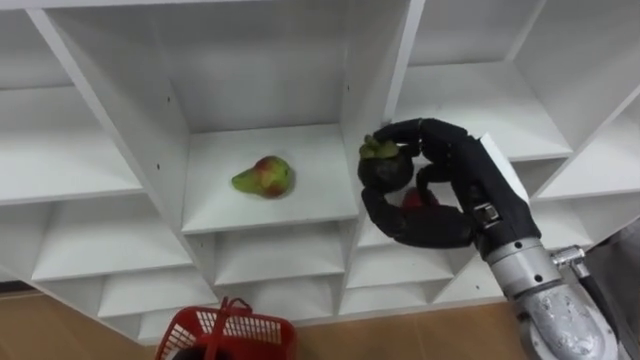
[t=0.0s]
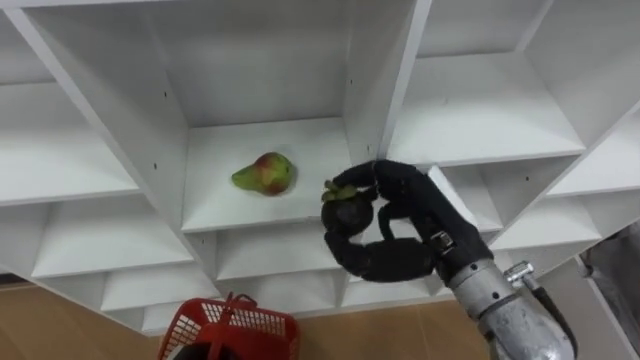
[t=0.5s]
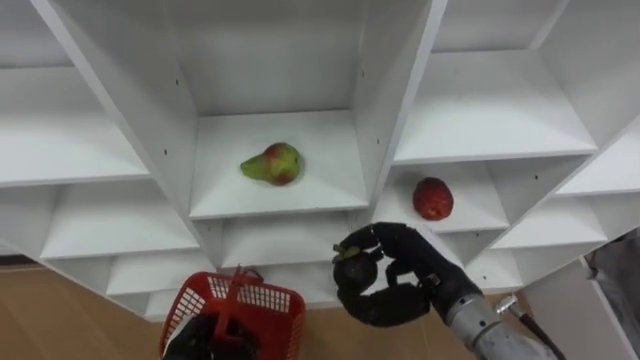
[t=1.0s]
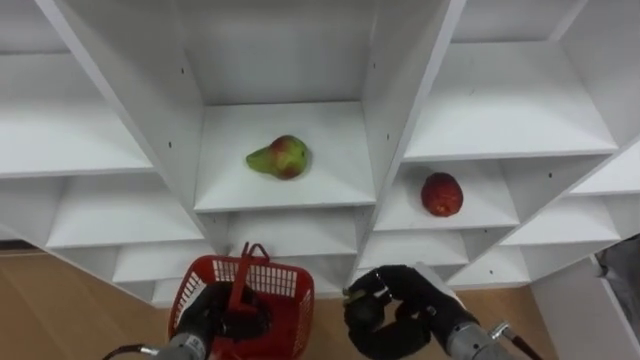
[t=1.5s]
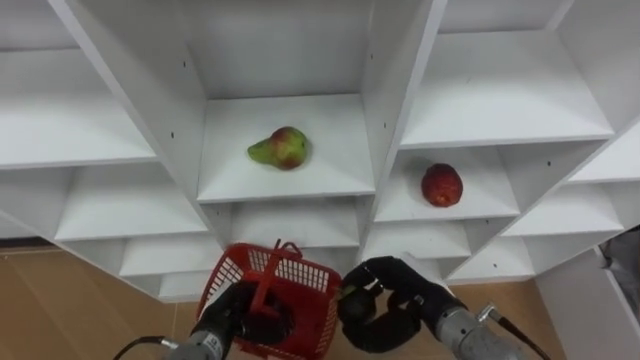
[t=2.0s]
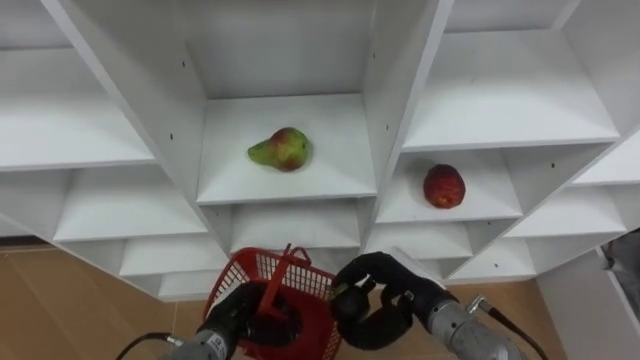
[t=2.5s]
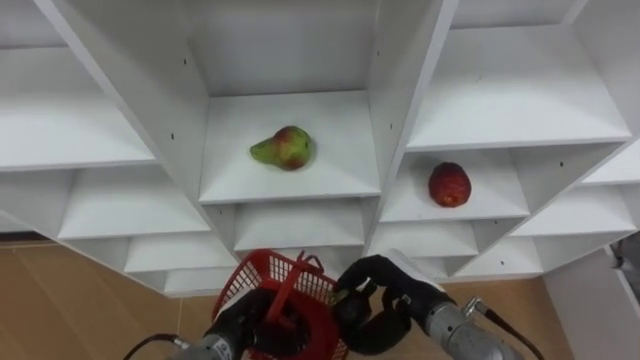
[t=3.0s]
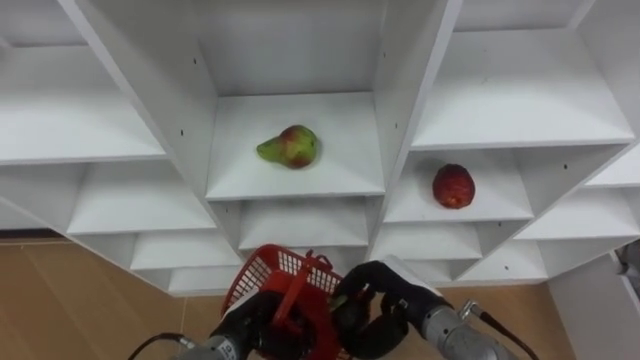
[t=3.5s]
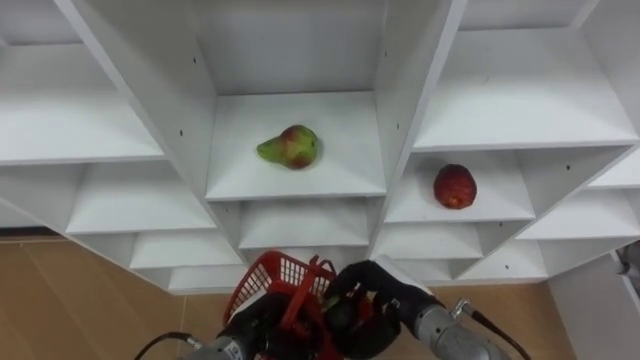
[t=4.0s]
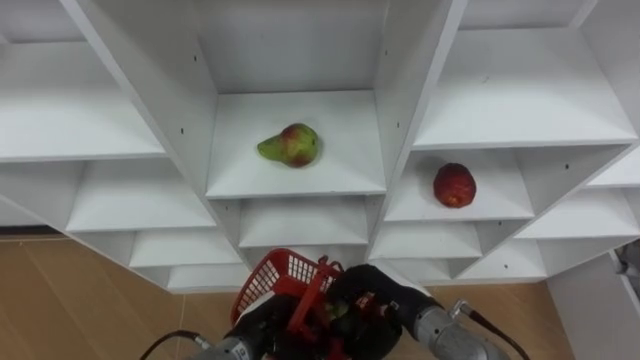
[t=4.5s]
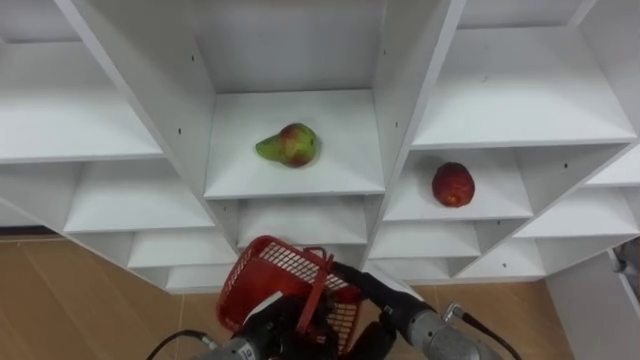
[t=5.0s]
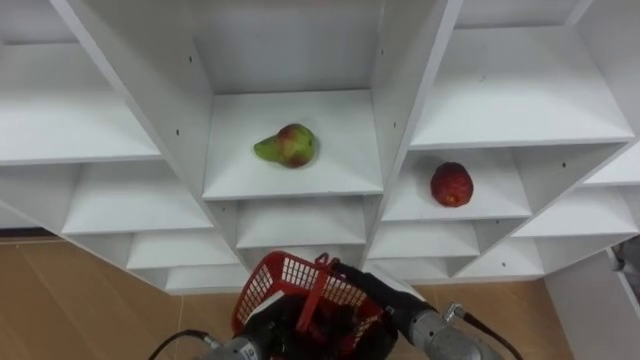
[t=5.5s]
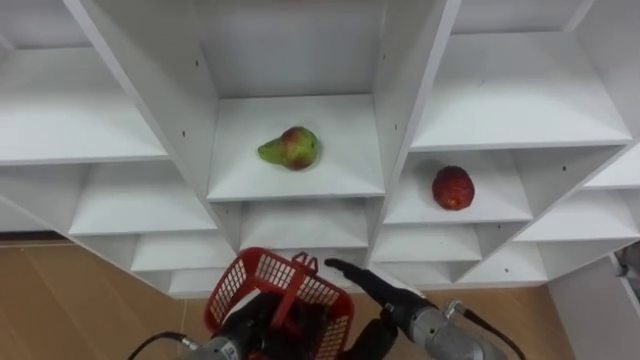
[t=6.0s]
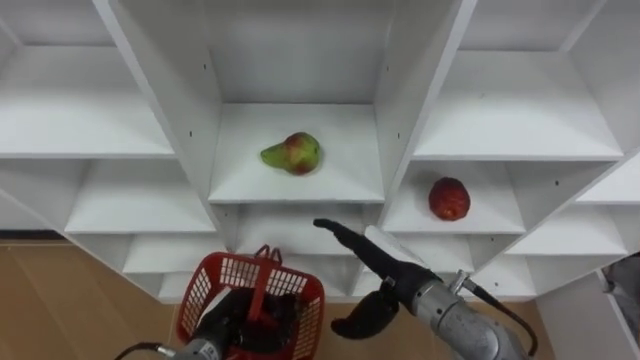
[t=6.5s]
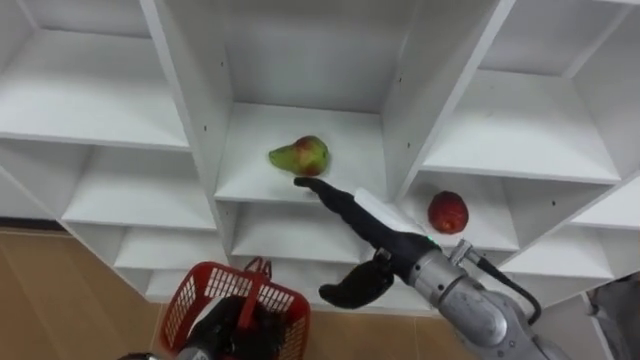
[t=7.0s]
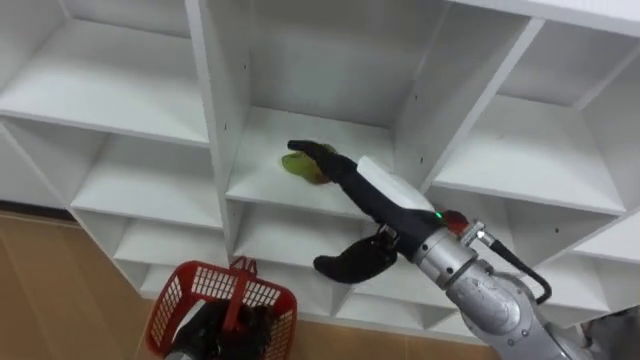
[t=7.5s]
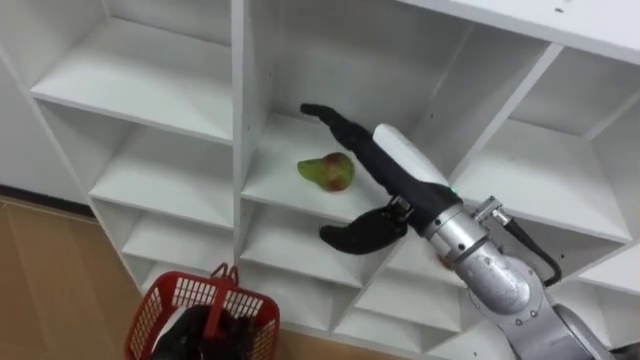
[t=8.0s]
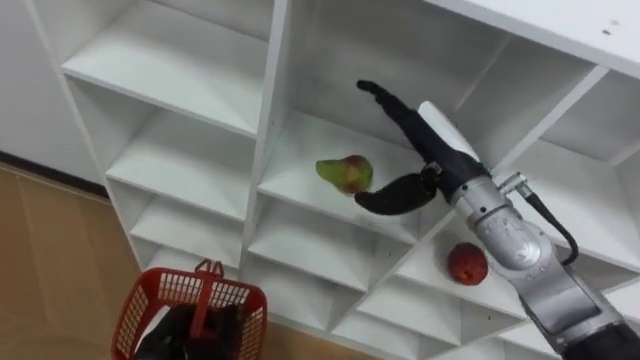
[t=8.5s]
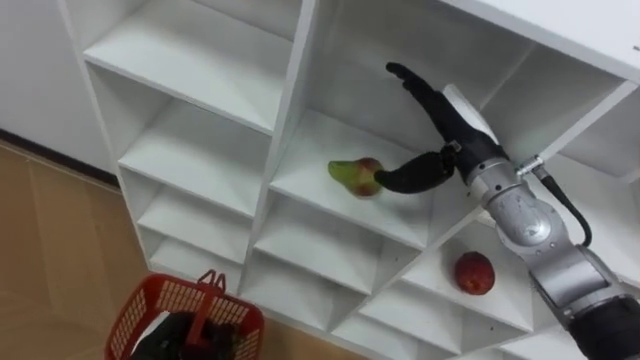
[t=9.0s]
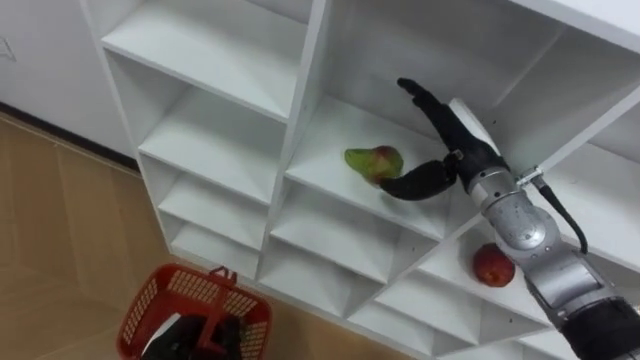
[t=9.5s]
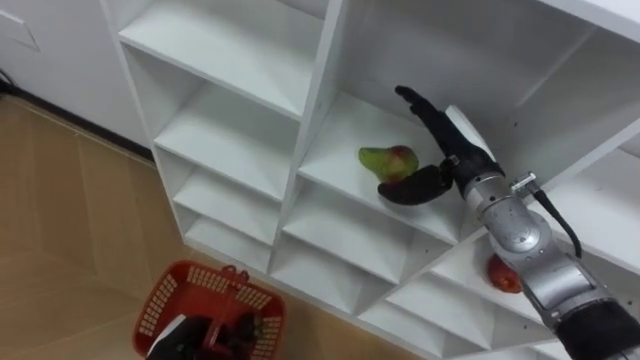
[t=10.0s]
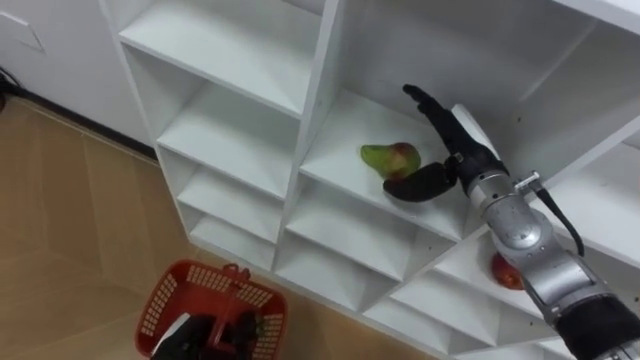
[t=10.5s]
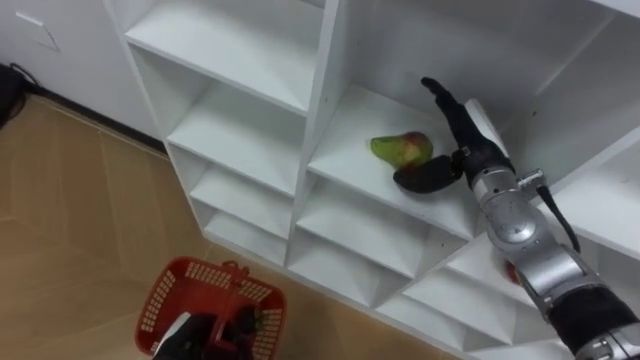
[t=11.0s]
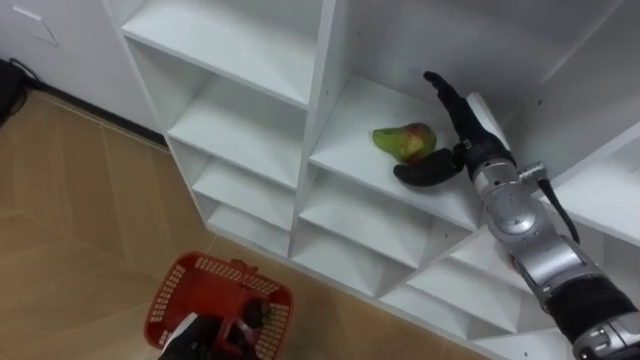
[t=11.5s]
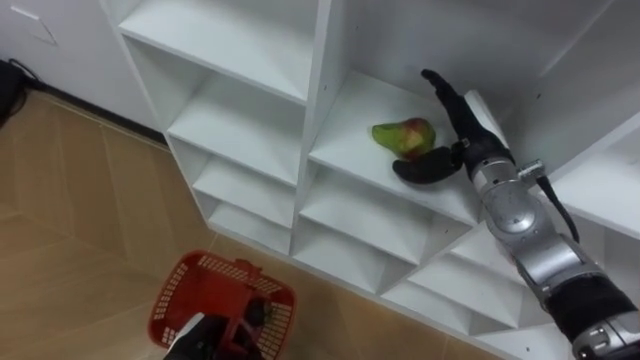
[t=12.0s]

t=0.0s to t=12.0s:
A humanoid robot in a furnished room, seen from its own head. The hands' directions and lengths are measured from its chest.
Task of the whole recording: Hold the basket and collect the fruits from 3 different cells of the closet into it.
t=0.0s to t=2.0s: The right hand moves downward, roughly 20 cm.
t=2.0s to t=4.0s: The hands stay close to where they were, moving slightly.
t=4.0s to t=6.0s: The right hand opens.
t=6.0s to t=8.0s: The left hand moves to the left, approximately 10 cm; the right hand is displaced upward by roughly 20 cm.
t=8.0s to t=10.0s: The right hand shifts approximately 10 cm to the right, forward and downward.

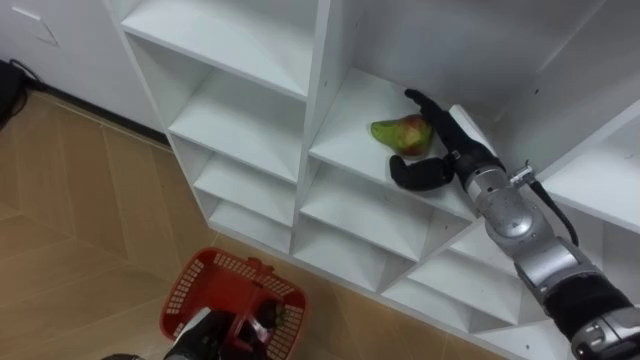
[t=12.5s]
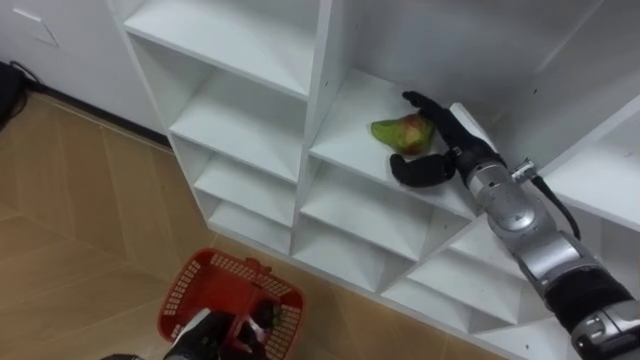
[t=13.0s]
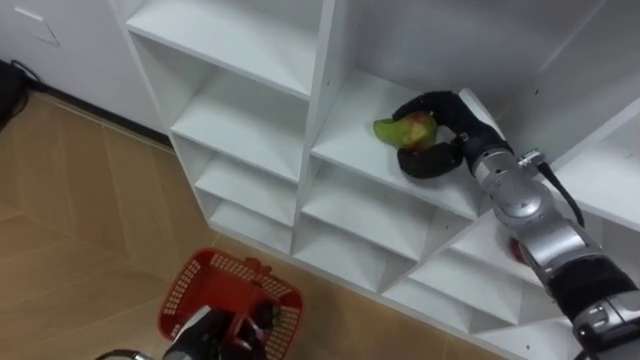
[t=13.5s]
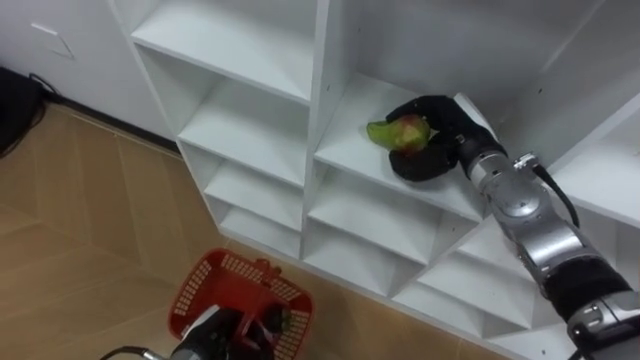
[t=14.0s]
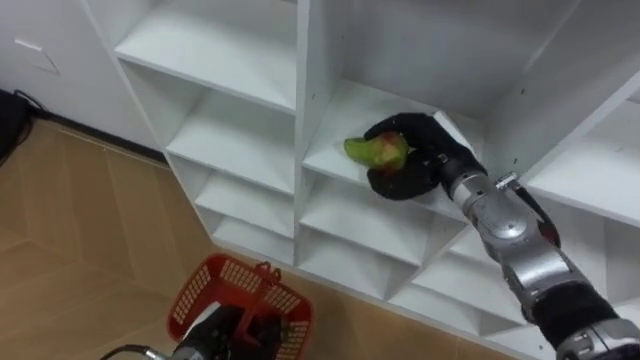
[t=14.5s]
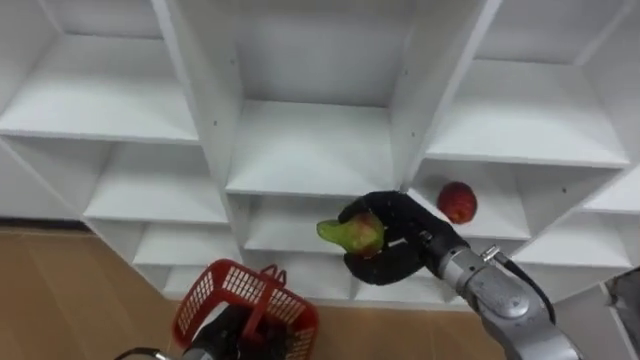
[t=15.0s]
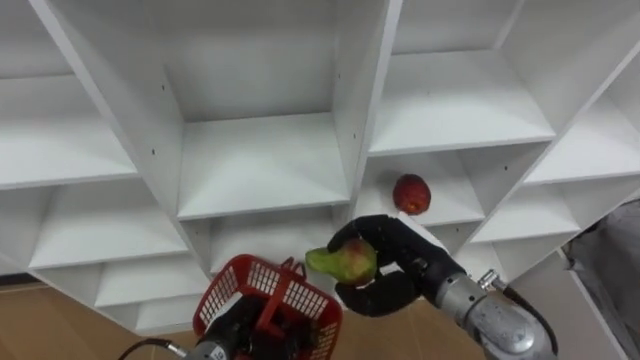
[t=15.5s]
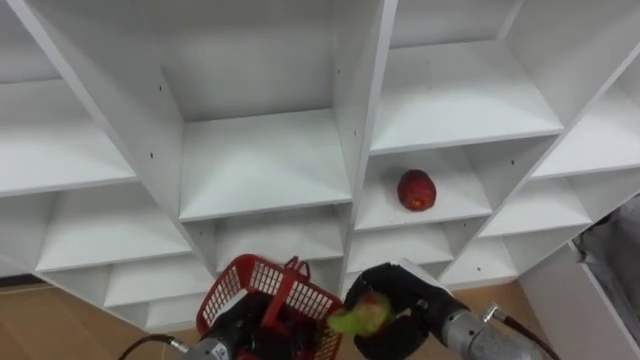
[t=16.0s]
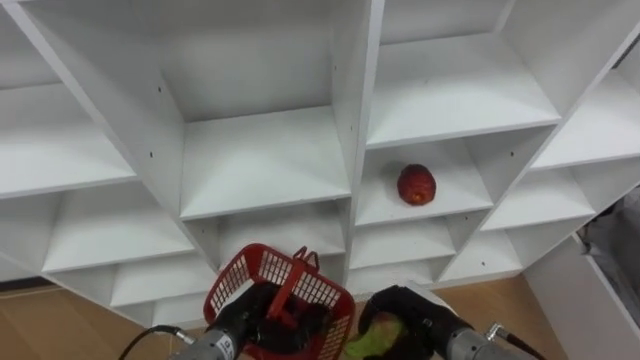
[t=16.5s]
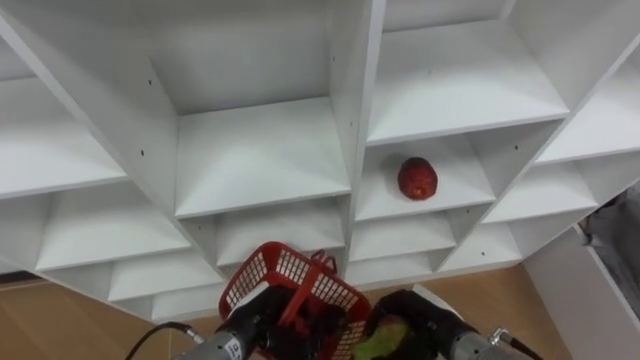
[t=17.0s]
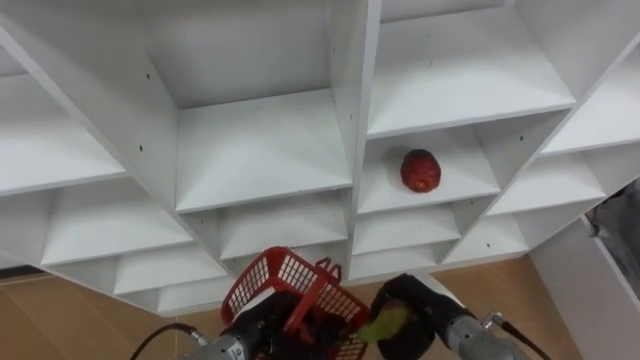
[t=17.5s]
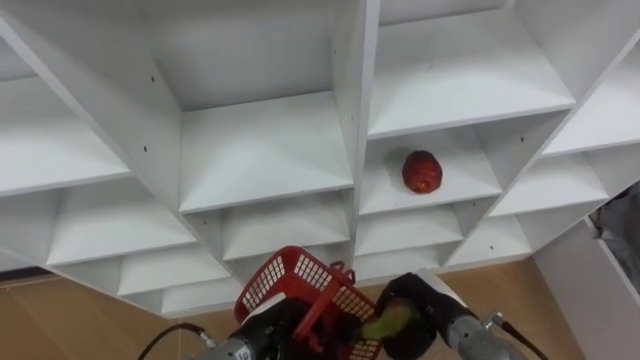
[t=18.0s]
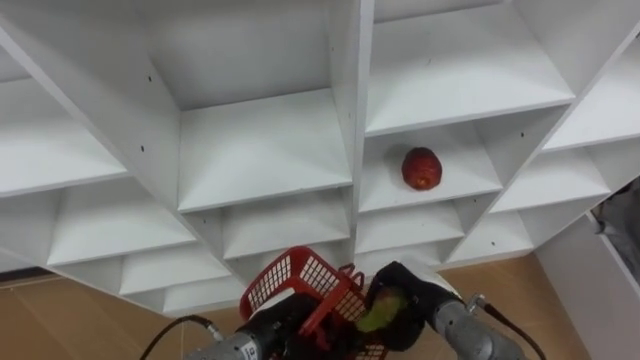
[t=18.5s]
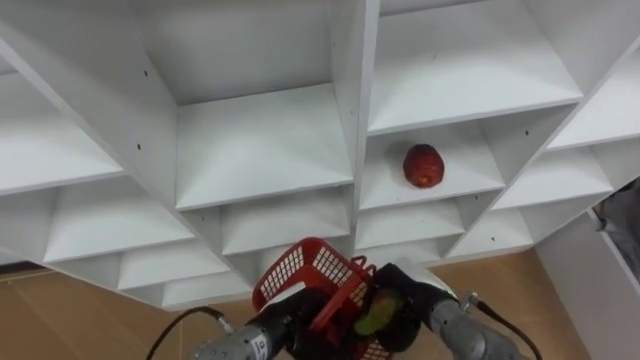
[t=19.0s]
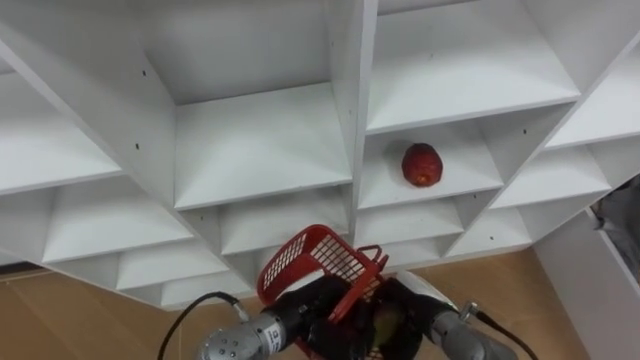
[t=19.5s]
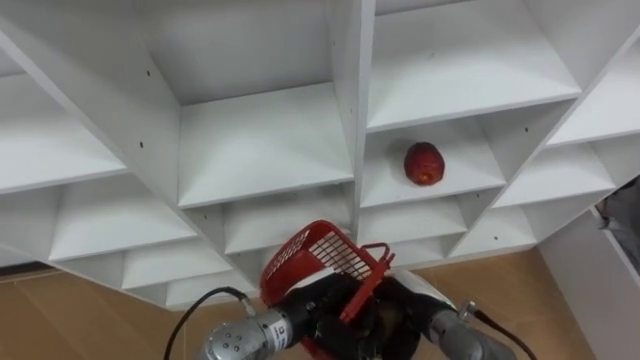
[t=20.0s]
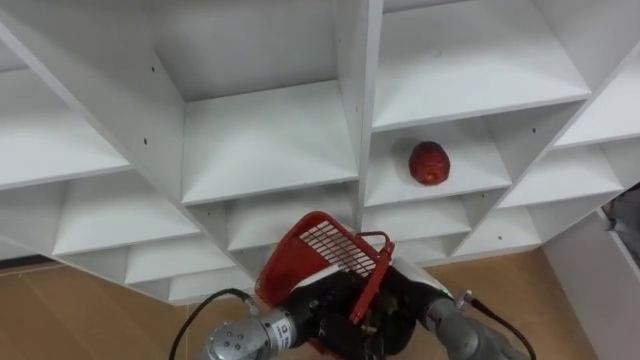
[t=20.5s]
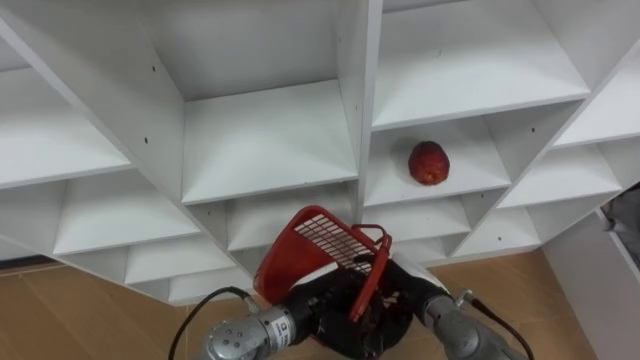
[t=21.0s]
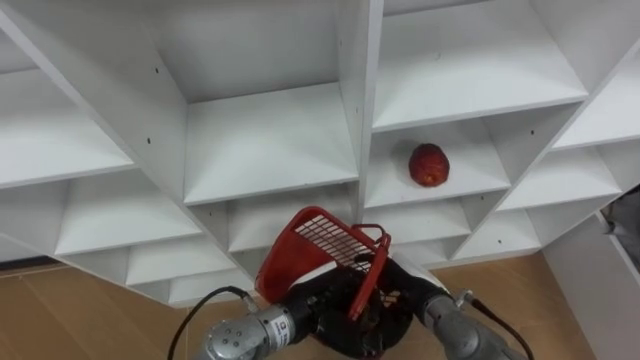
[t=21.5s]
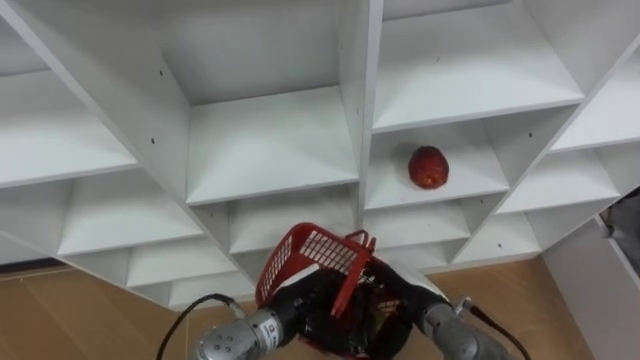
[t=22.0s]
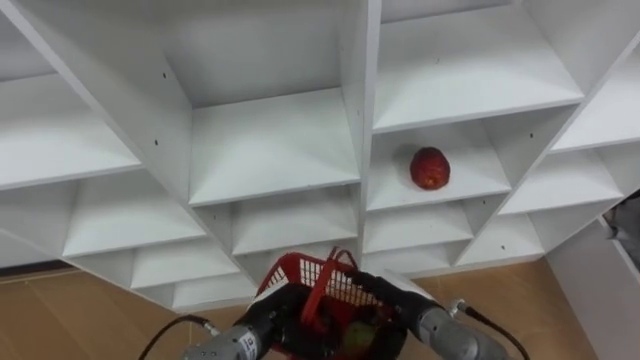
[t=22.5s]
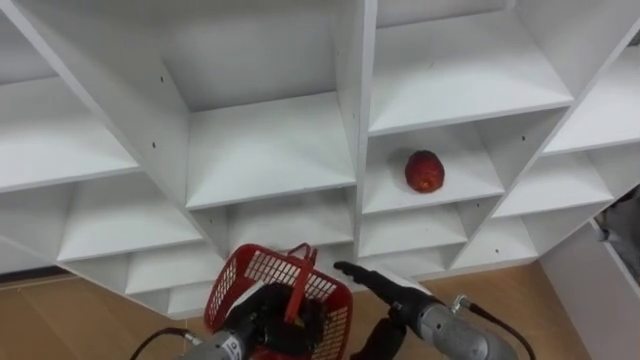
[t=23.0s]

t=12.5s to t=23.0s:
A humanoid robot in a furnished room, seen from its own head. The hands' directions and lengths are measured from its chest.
Task of the whole recording: Hold the basket and collect the fruits from 3 different cells of the closet into it.
t=12.5s to t=14.5s: The right hand closes its fingers.
t=14.5s to t=16.5s: The left hand shifts by about 5 cm, while the right hand is displaced backward and downward by some 20 cm.
t=16.5s to t=19.0s: The left hand is displaced to the right by roughly 5 cm.
t=19.0s to t=21.0s: The right hand opens its fingers. The left hand shifts by about 5 cm.
t=21.0s to t=23.0s: The left hand shifts about 10 cm to the left and downward.
